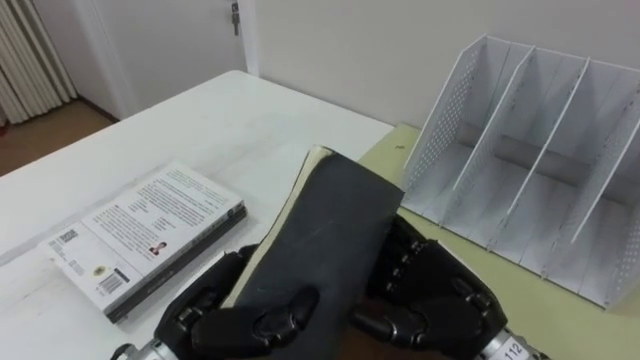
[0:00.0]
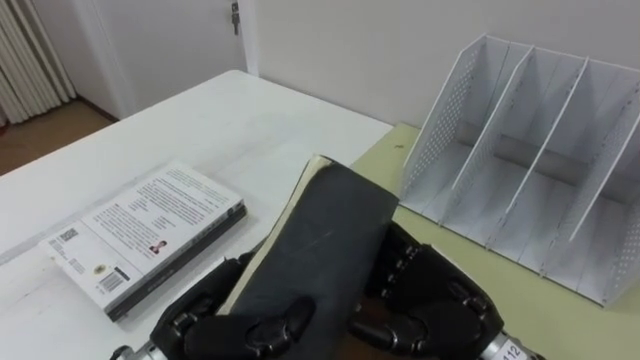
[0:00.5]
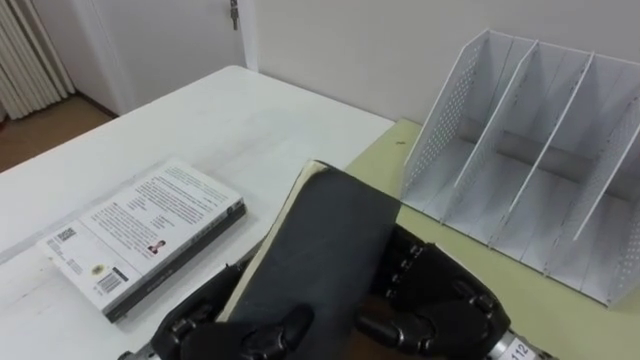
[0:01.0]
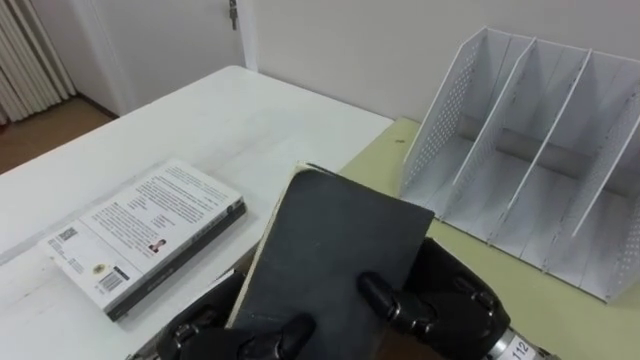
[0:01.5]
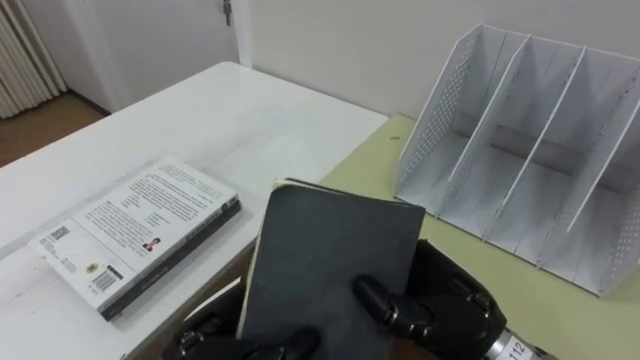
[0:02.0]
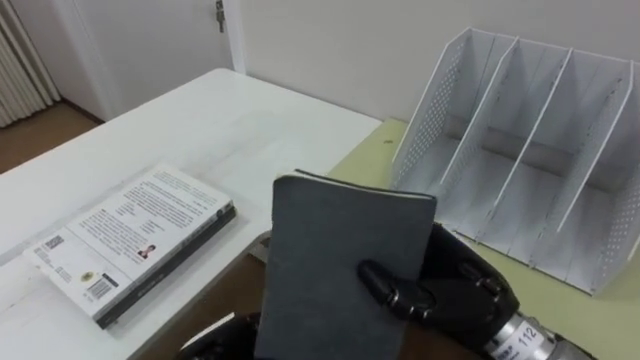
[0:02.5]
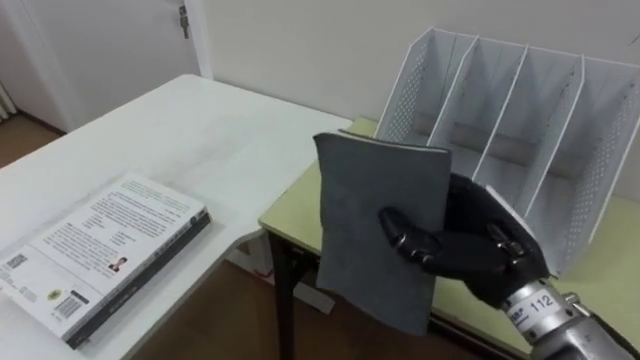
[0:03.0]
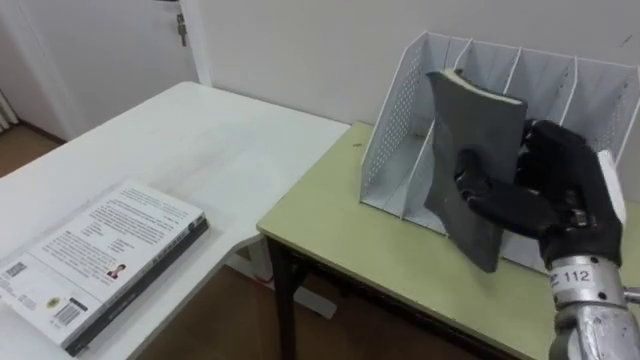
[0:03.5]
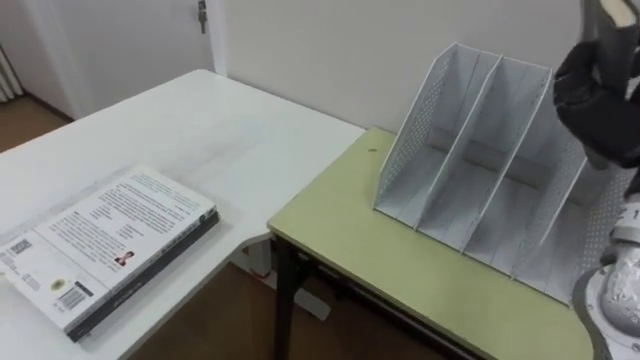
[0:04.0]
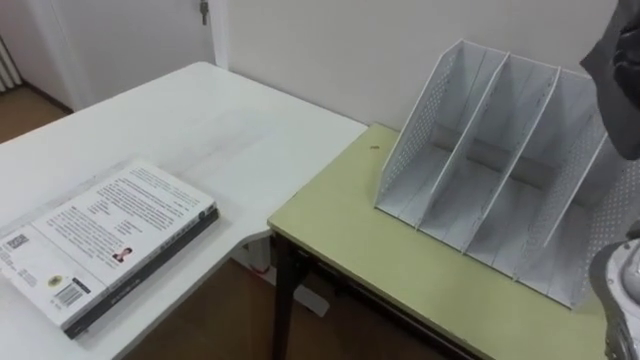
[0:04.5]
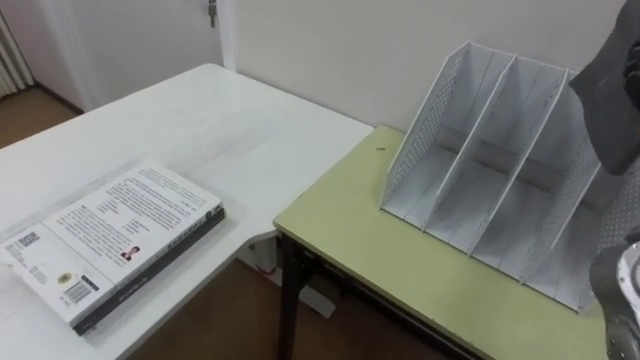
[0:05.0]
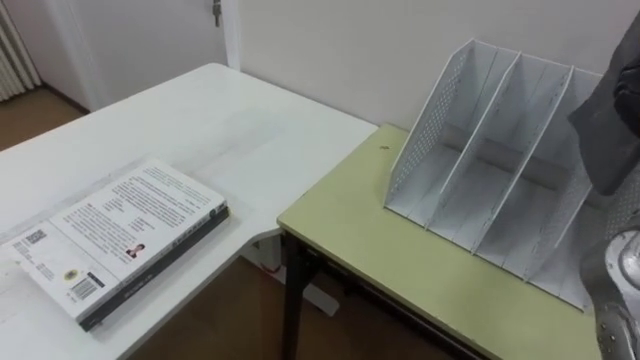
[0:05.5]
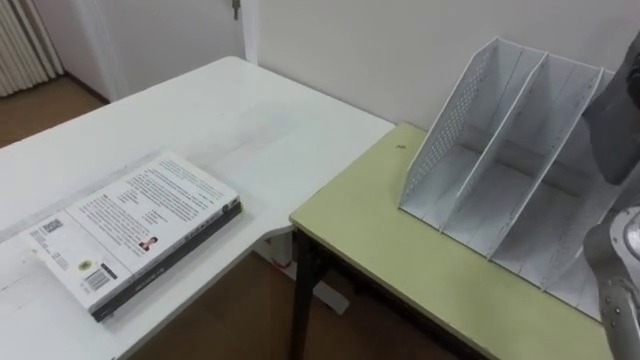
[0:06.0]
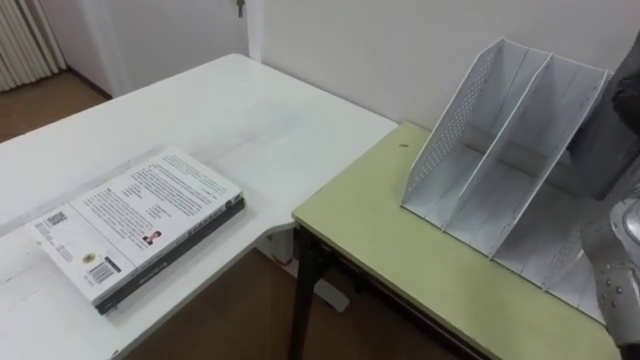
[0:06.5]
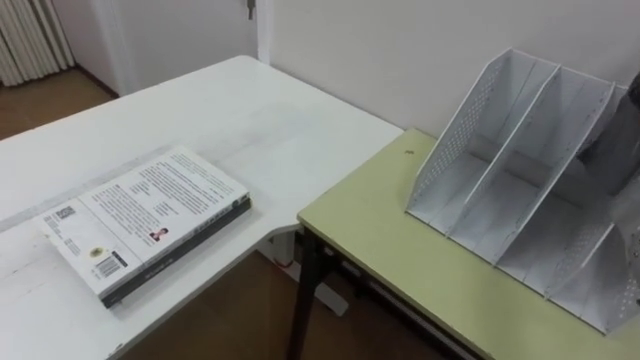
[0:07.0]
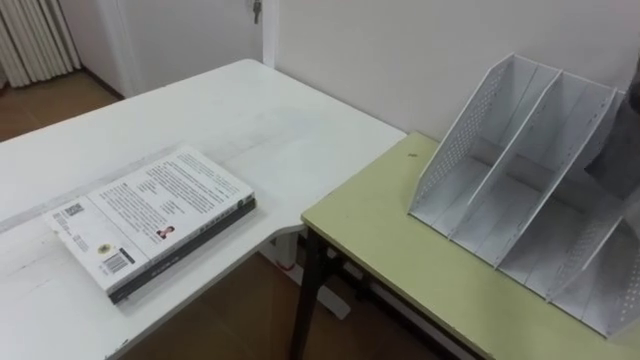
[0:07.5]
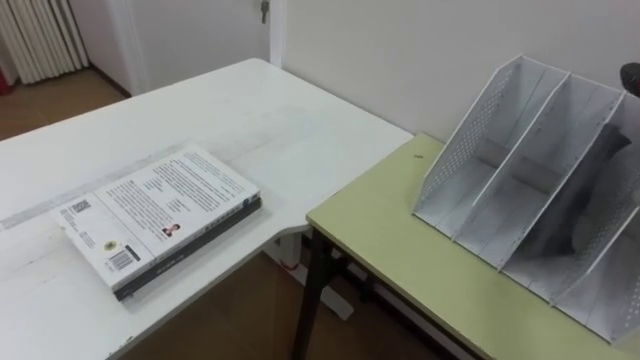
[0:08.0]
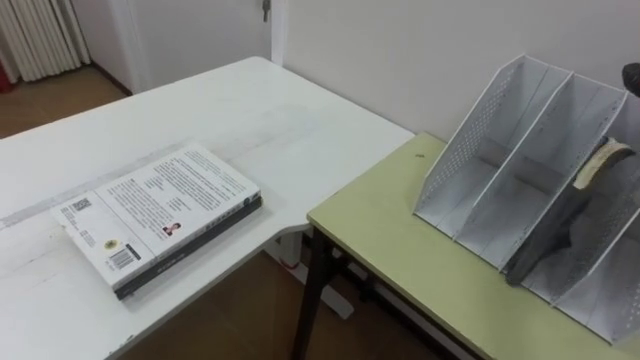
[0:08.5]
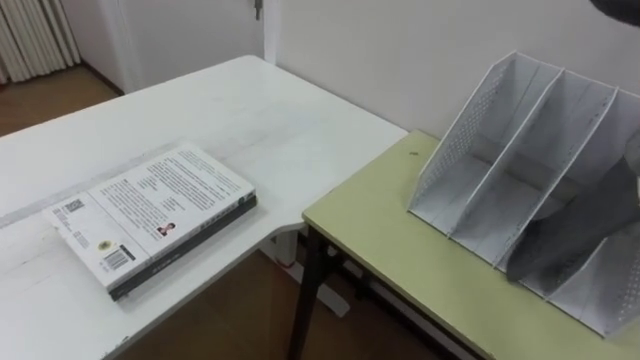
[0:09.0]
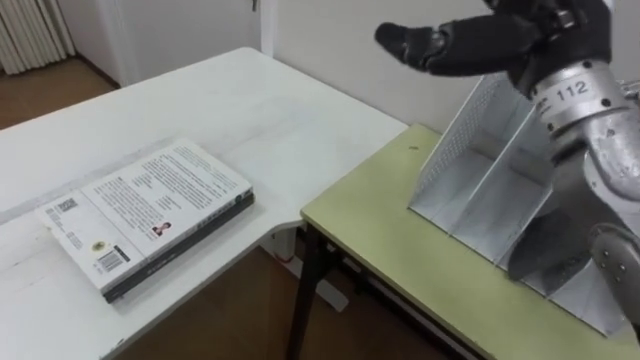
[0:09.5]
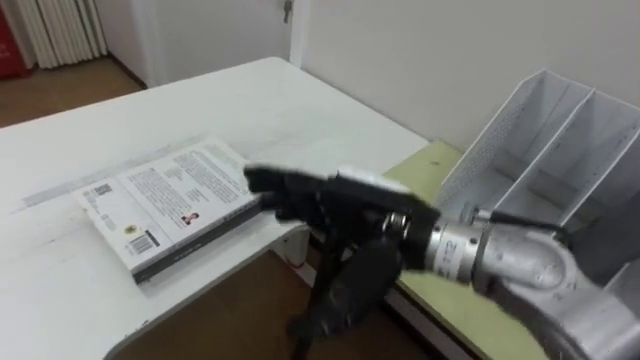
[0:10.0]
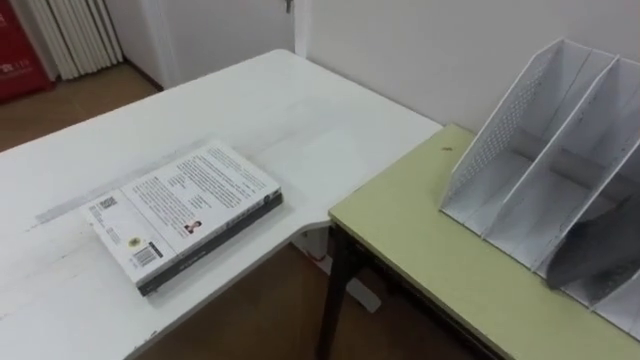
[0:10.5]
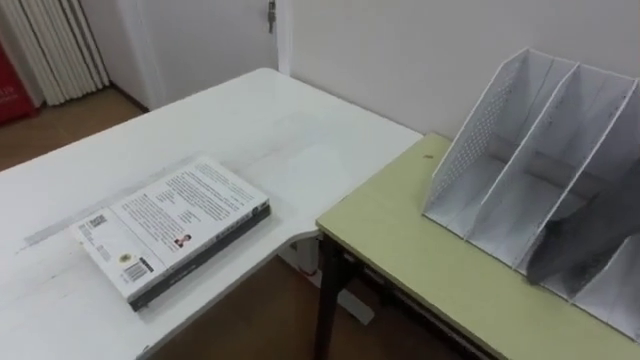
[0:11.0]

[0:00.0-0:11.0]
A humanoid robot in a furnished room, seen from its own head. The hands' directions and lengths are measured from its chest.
Task of the whole recording: Put the books on the table onto the bookshelf.
0:00.0 to 0:02.0: The right hand closes its fingers.
0:02.0 to 0:03.5: The right hand heads to the right and upward, covering some 15 cm.

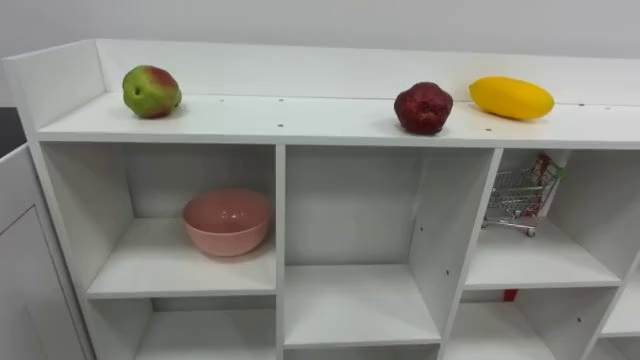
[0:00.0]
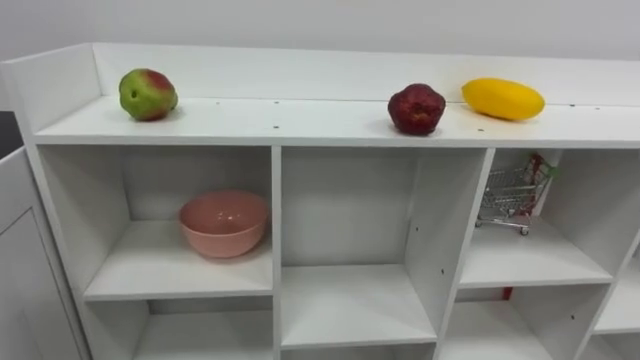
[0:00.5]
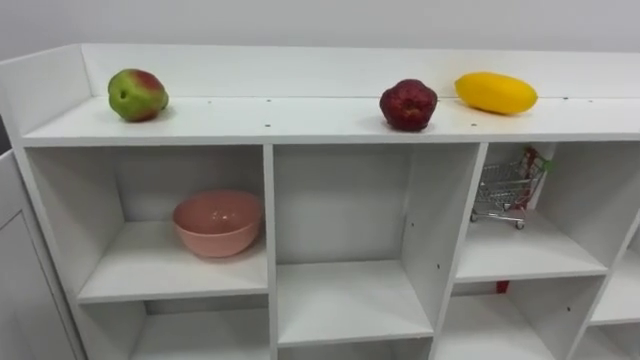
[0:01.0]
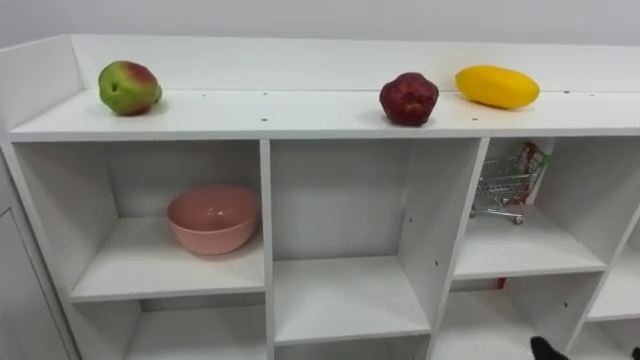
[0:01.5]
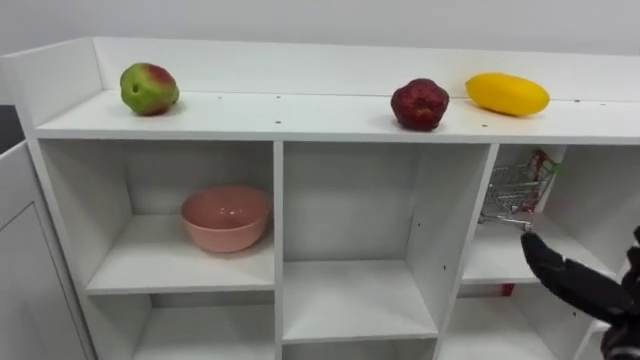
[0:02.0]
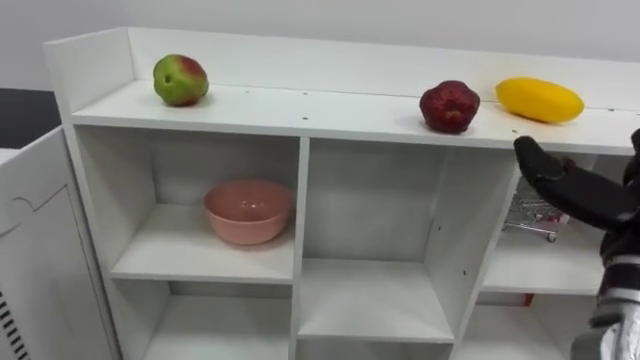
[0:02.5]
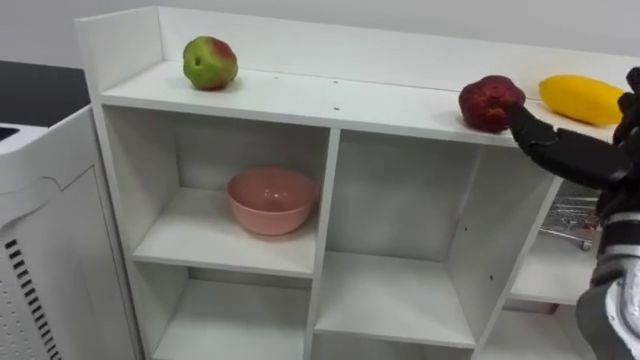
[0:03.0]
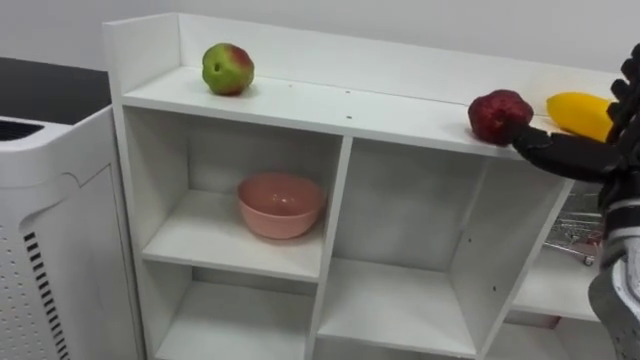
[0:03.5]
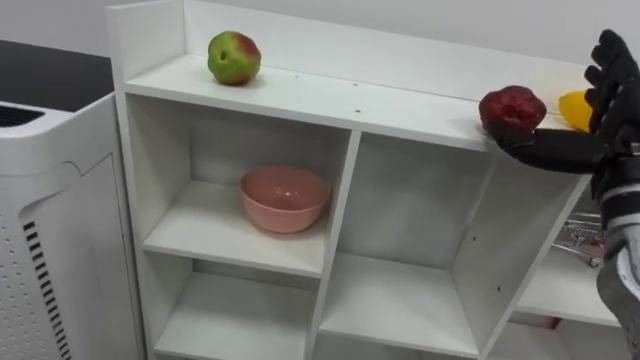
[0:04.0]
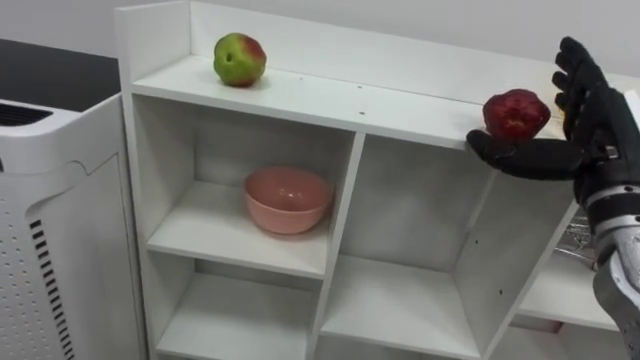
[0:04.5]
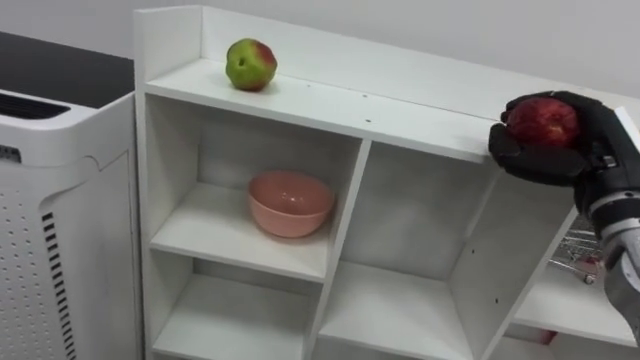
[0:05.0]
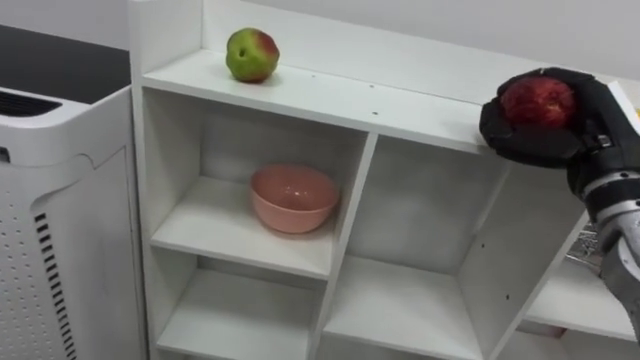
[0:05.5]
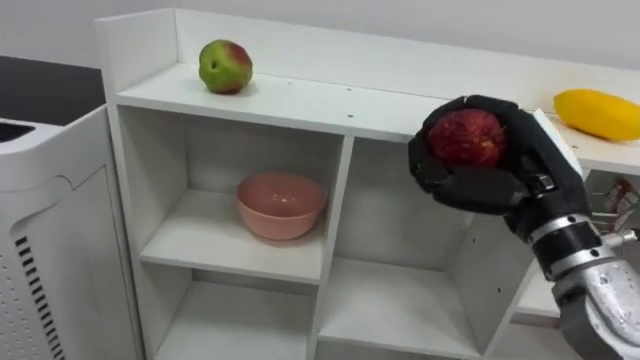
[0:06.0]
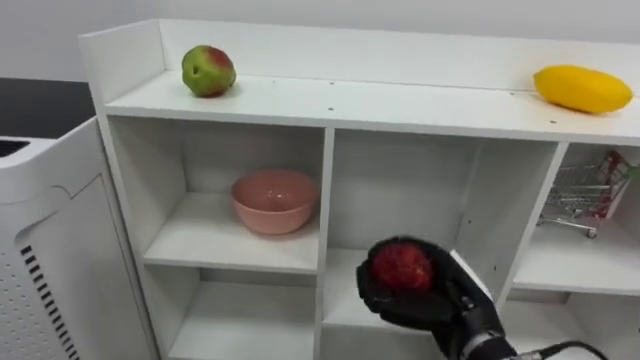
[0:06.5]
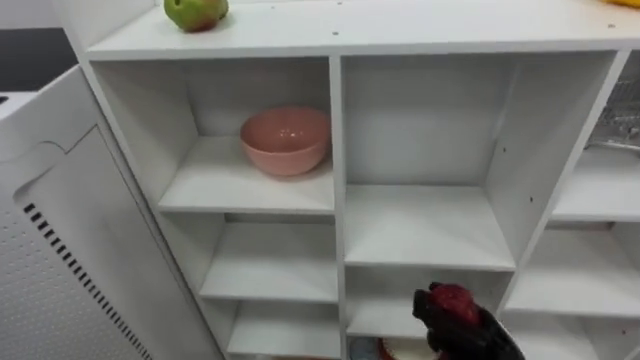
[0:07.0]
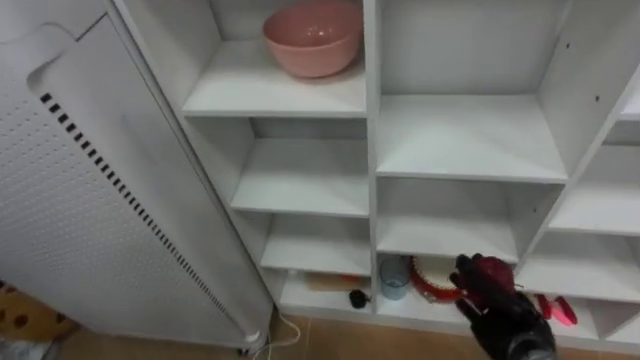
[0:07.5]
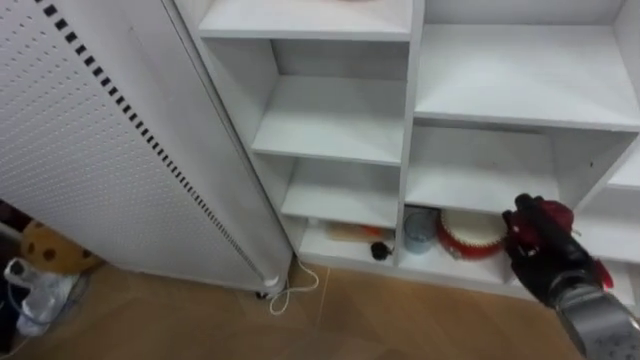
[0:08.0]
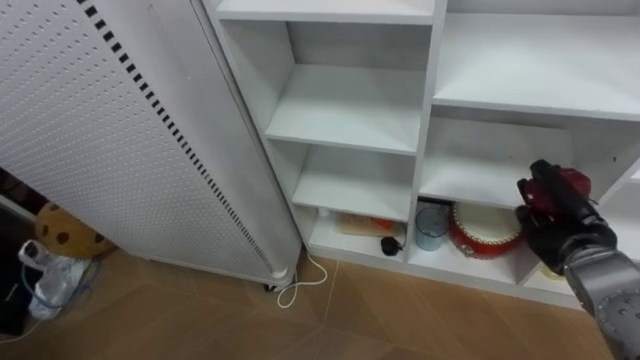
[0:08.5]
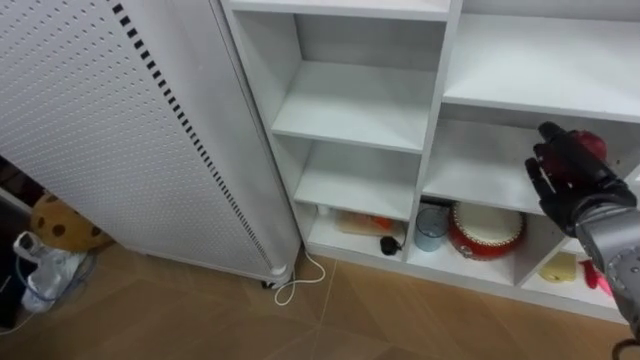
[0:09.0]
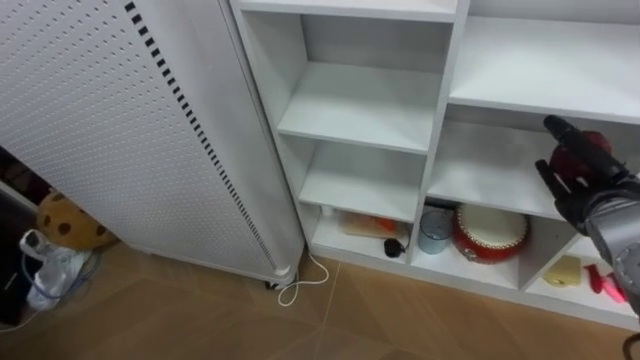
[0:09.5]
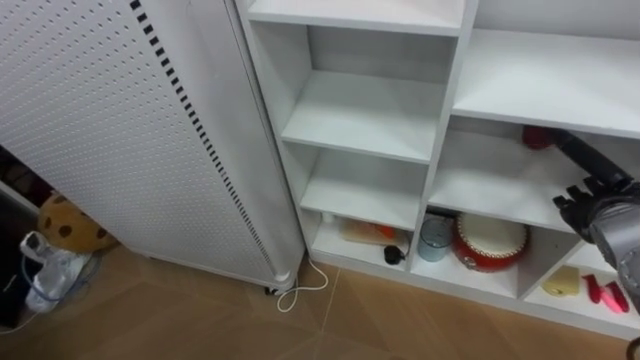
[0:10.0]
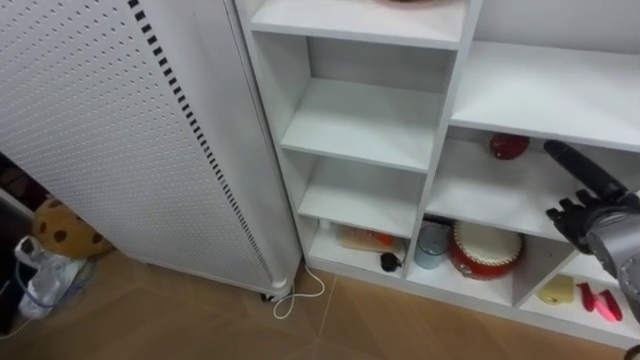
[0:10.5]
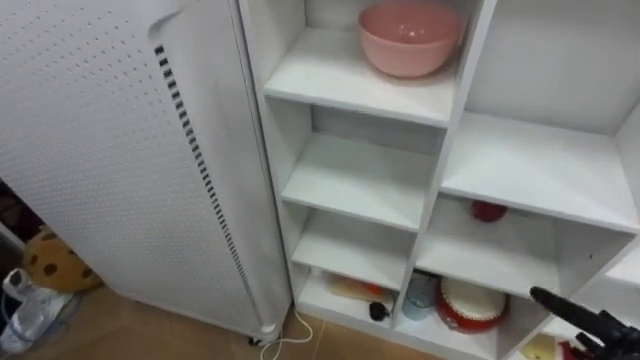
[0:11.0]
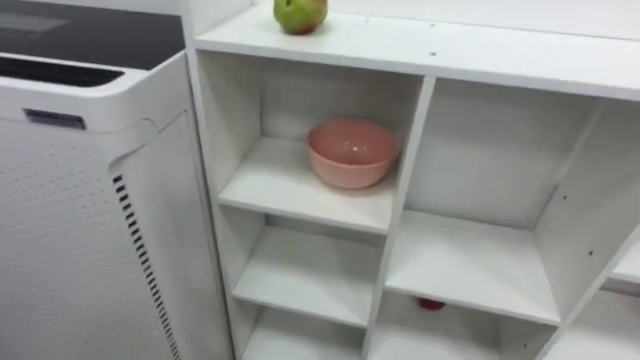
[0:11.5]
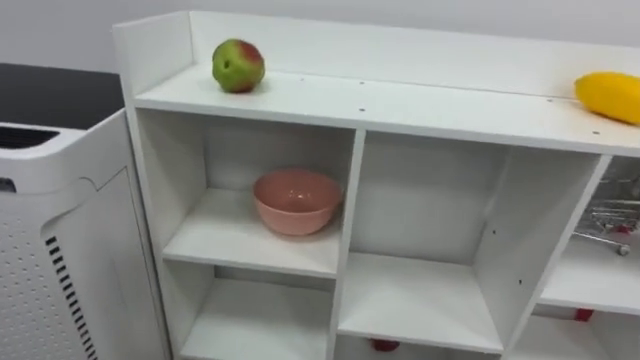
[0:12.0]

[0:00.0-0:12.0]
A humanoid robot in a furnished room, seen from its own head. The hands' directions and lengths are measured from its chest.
Task of the whole recording: Put the apple in the cell in the second column from the left and the second row from the top.
0:04.0 to 0:06.0: The right hand is displaced to the left by some 10 cm, and closes up.
0:08.0 to 0:10.0: The right hand heads upward, covering roughly 10 cm, and opens its fingers.
